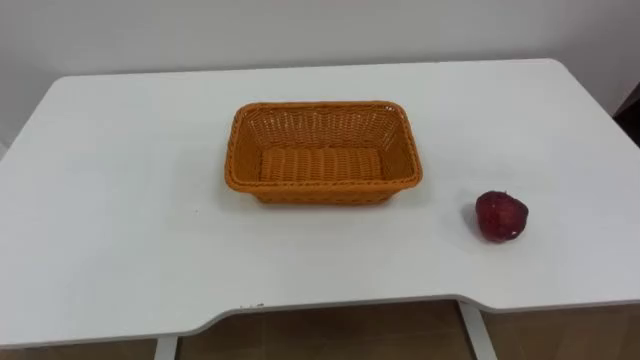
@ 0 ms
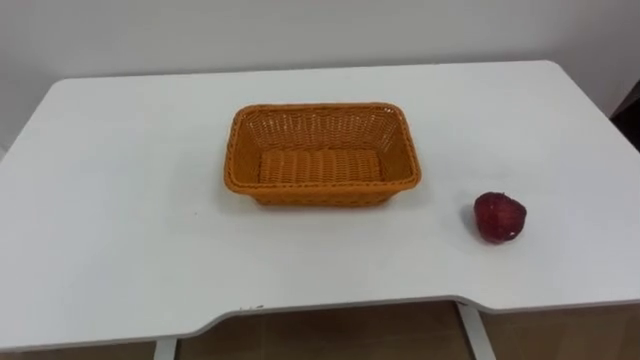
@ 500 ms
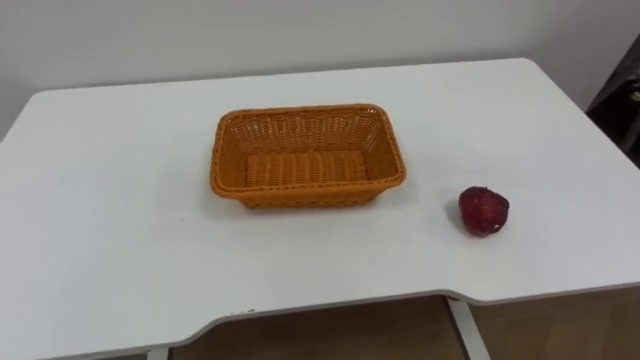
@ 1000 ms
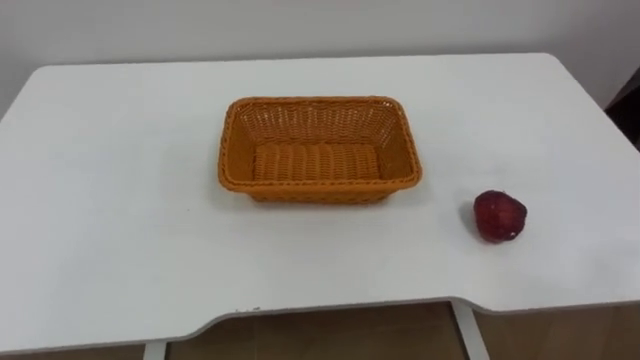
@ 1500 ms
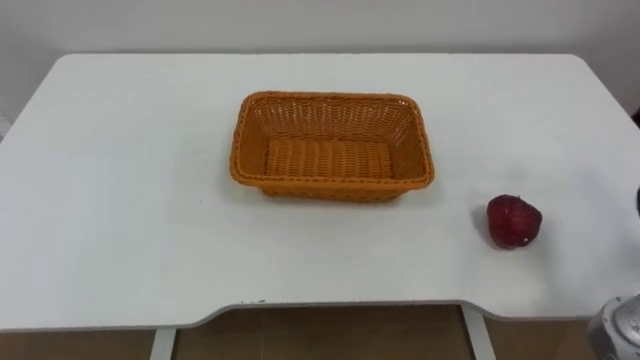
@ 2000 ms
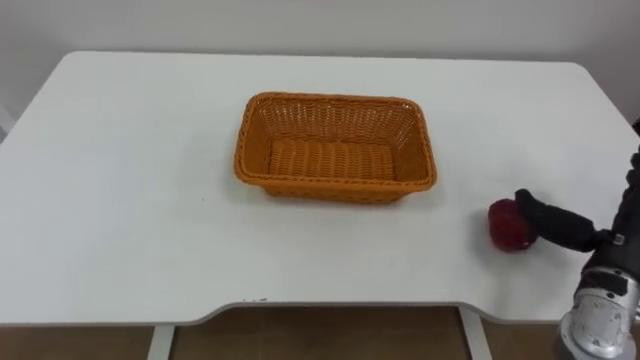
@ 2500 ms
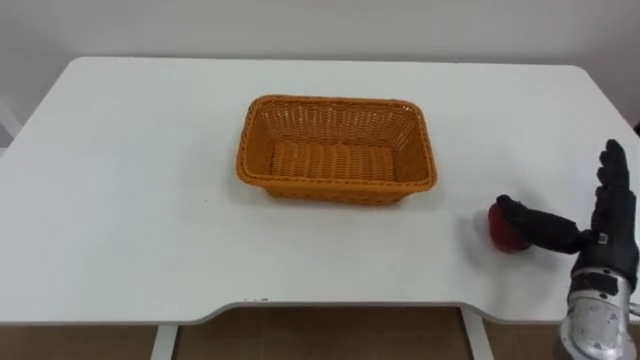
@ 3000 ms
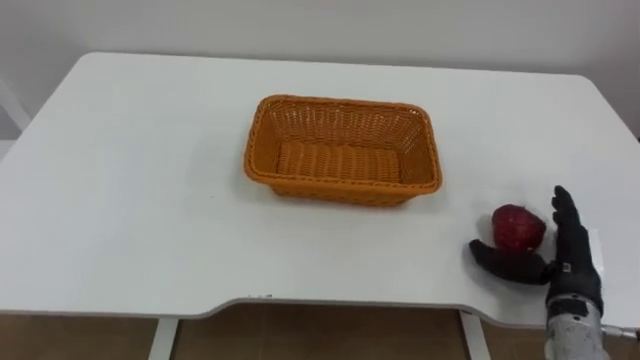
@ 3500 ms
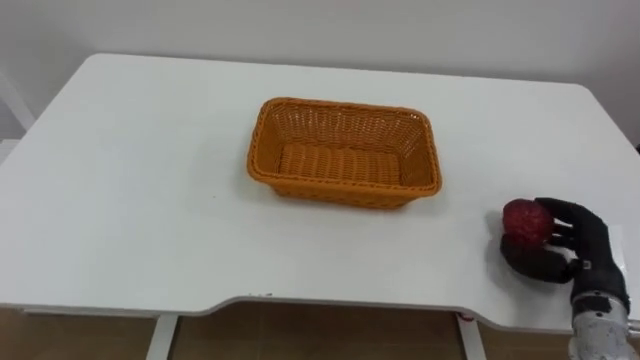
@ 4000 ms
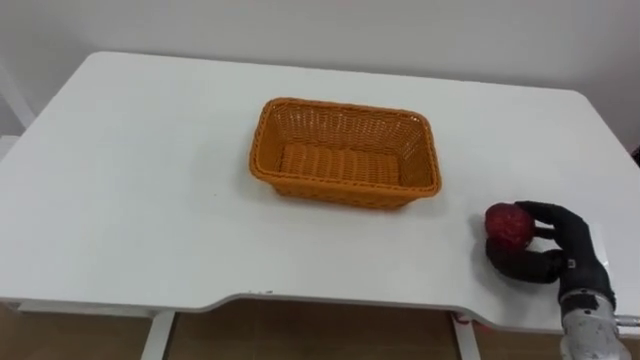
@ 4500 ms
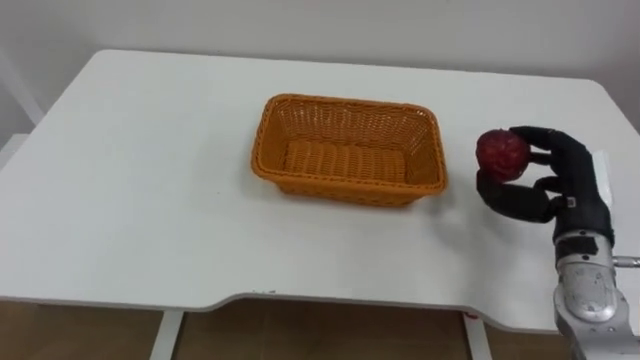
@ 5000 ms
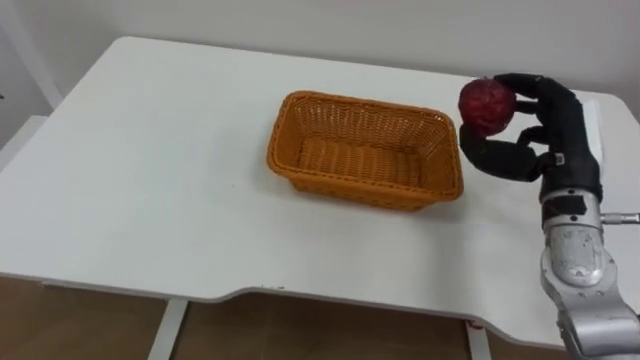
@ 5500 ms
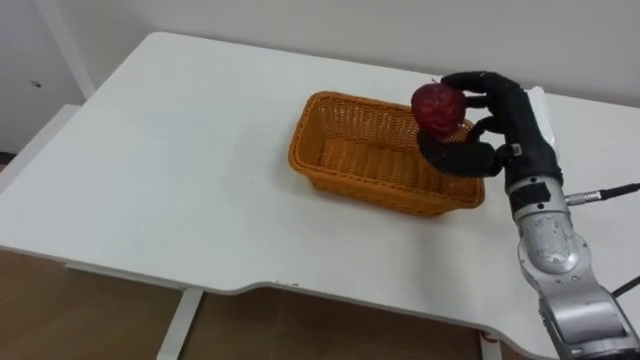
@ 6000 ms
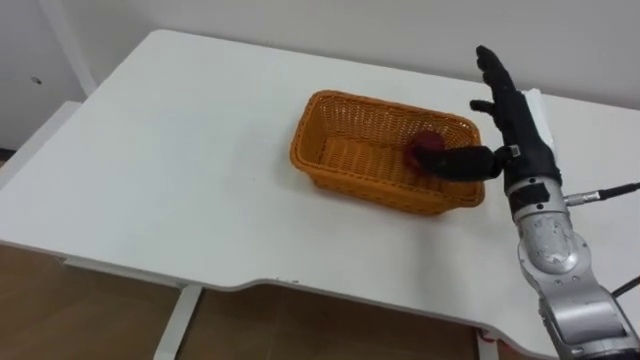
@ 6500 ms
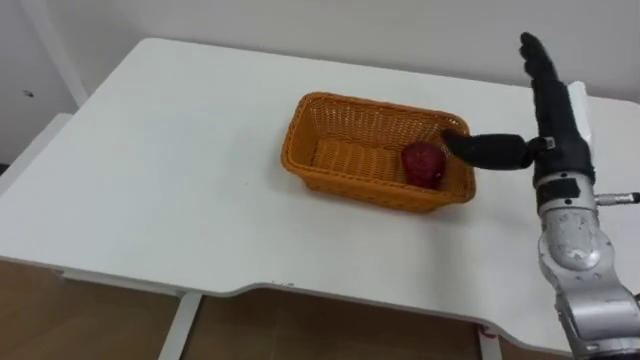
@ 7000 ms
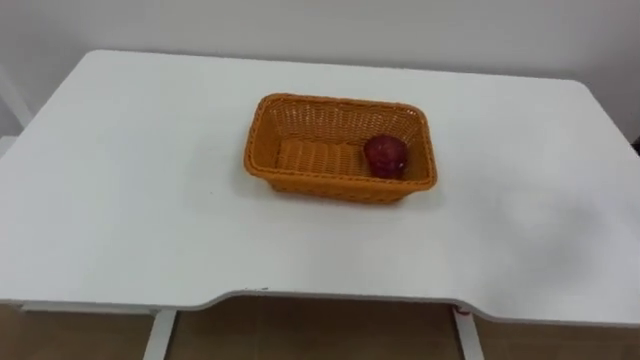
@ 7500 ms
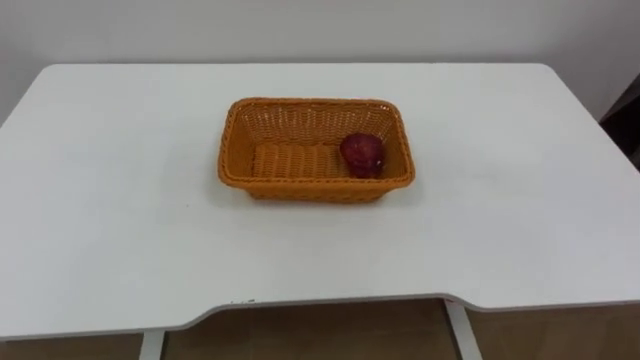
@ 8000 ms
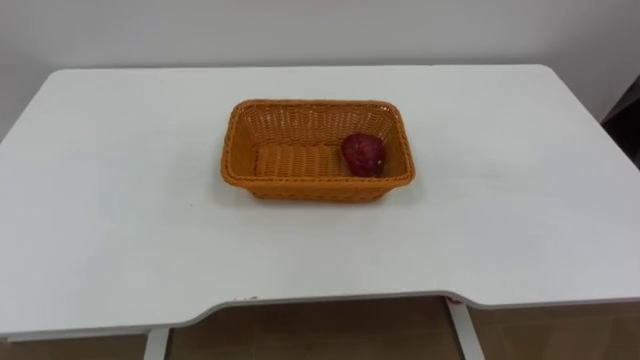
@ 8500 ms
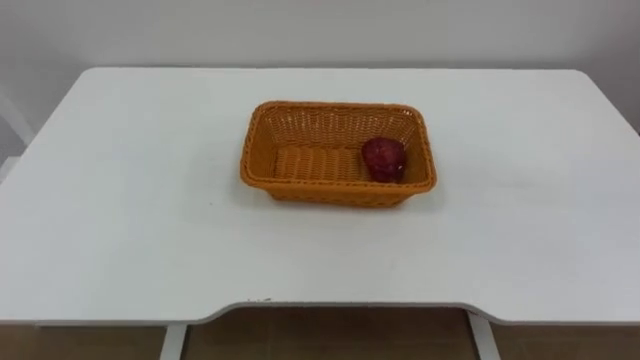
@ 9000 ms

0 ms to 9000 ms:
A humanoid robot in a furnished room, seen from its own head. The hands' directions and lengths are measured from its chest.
Task of the whole recording: Pick the apple and place it in the box.
4500 ms to 7000 ms: The right hand goes roughly 20 cm upward, forward and to the left, and opens its fingers.

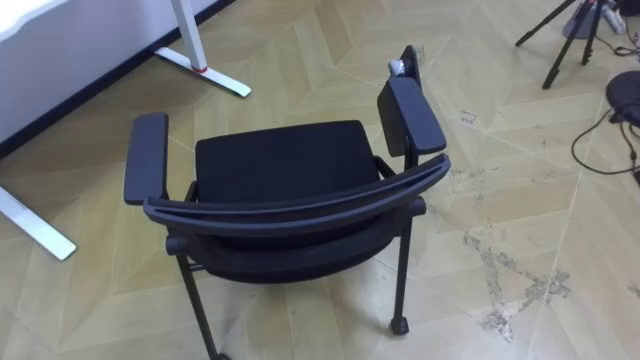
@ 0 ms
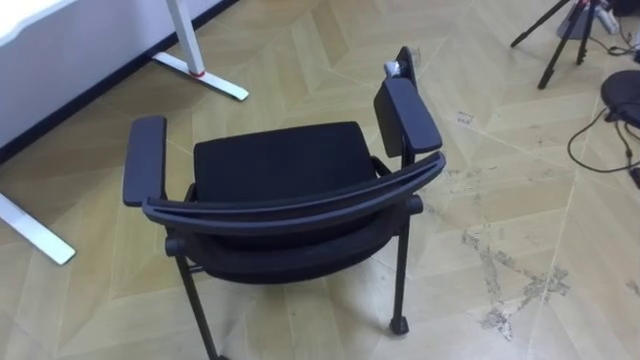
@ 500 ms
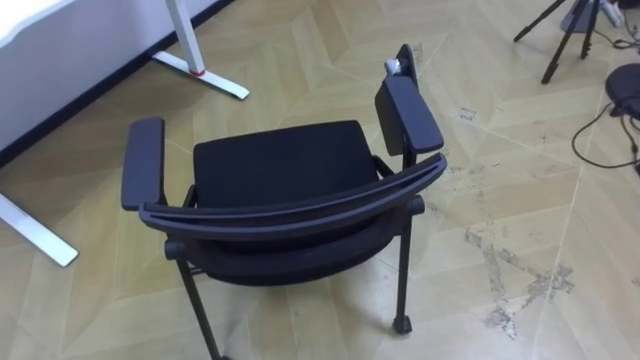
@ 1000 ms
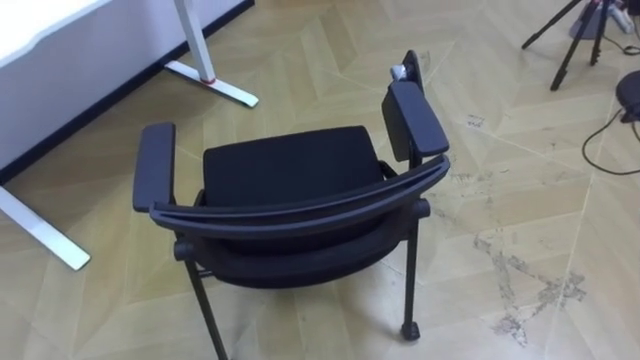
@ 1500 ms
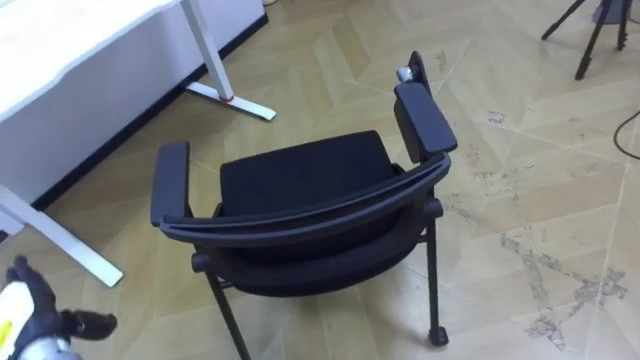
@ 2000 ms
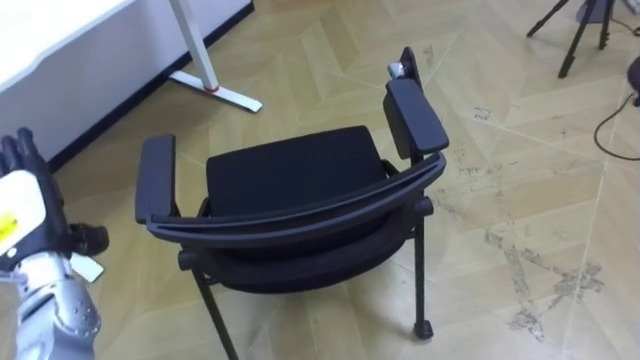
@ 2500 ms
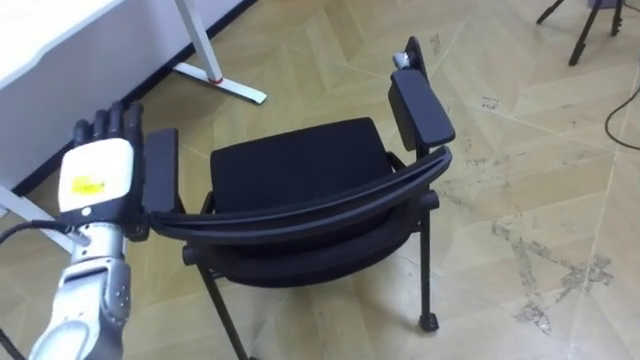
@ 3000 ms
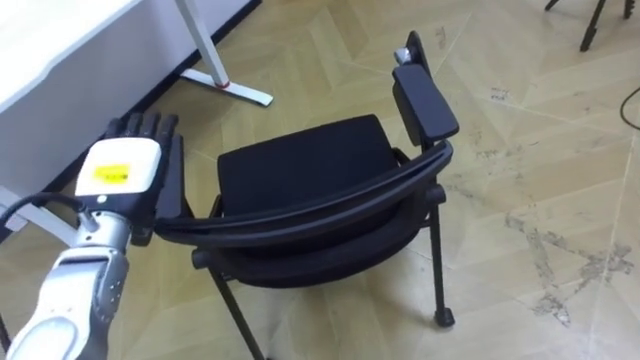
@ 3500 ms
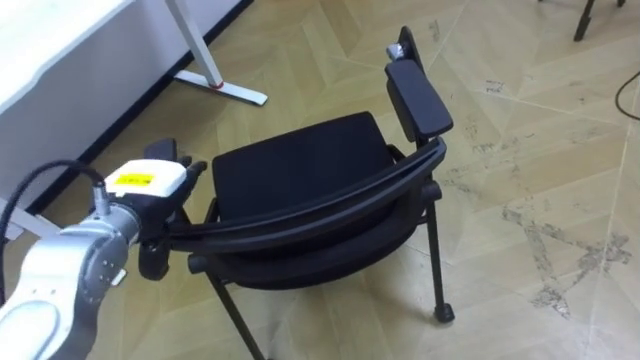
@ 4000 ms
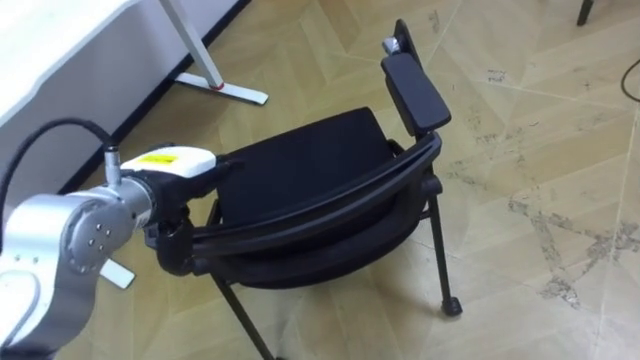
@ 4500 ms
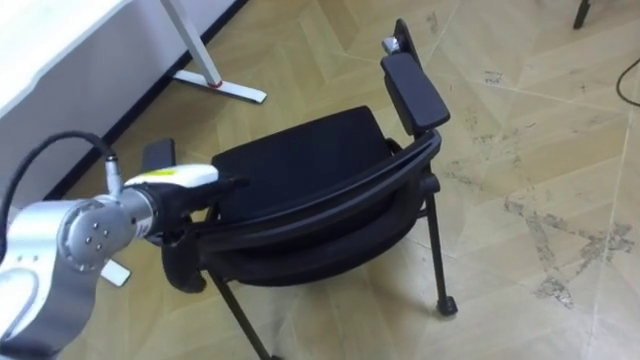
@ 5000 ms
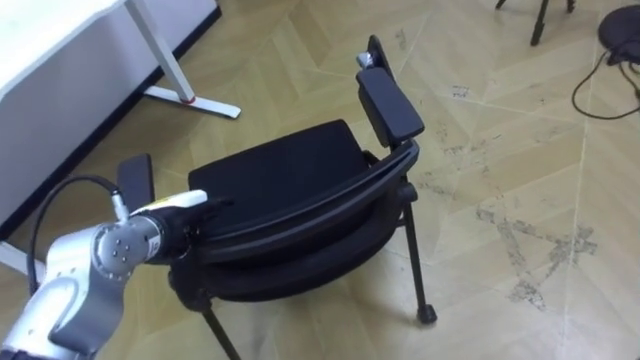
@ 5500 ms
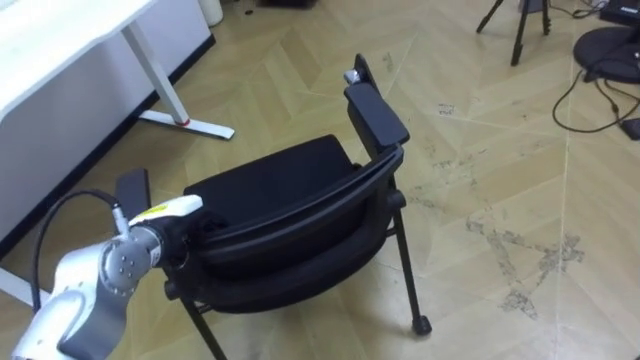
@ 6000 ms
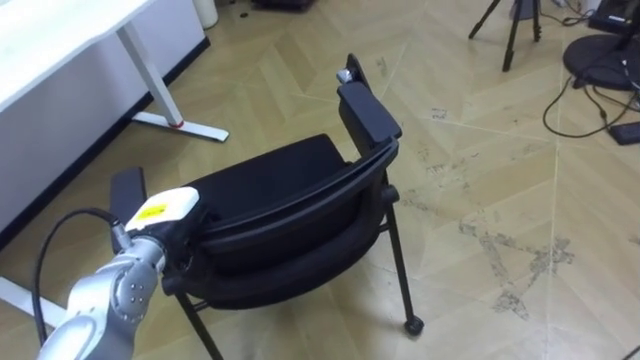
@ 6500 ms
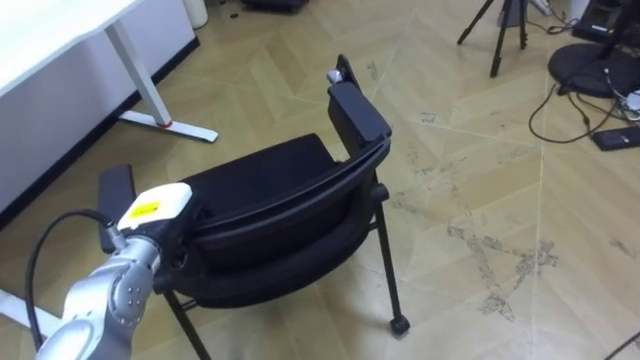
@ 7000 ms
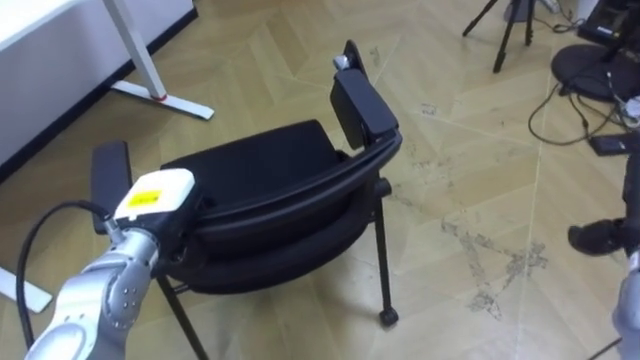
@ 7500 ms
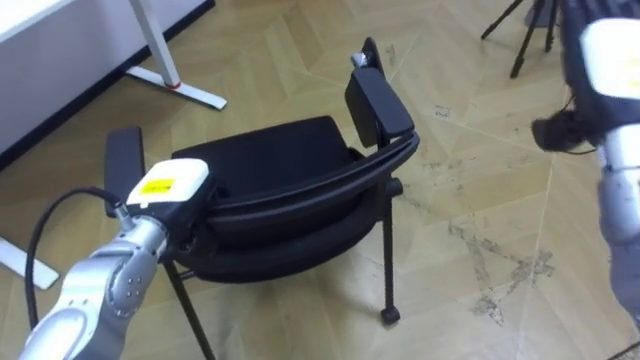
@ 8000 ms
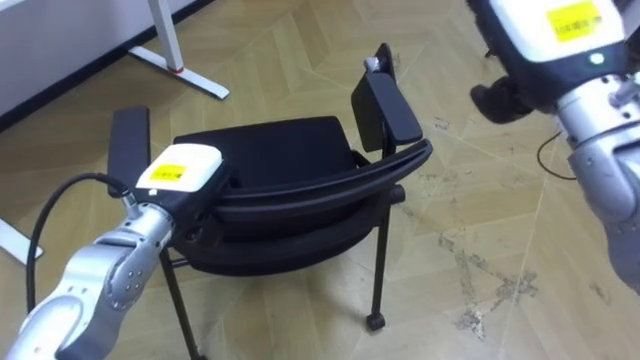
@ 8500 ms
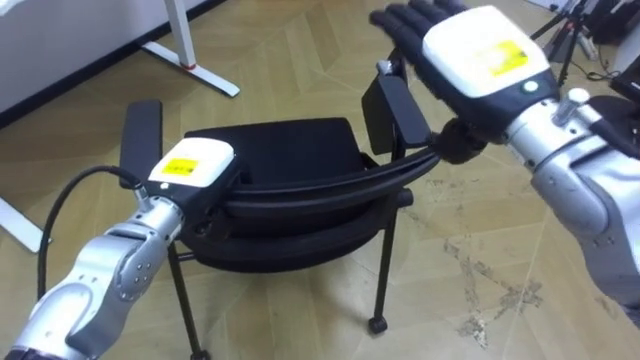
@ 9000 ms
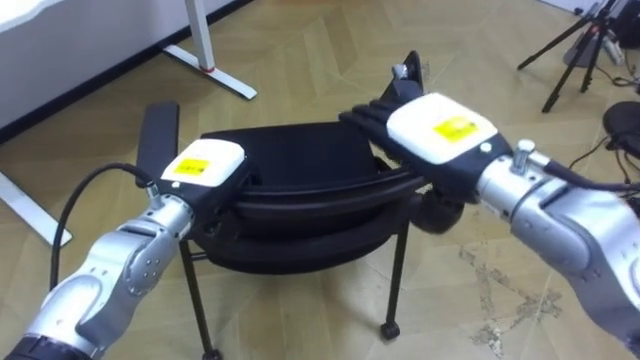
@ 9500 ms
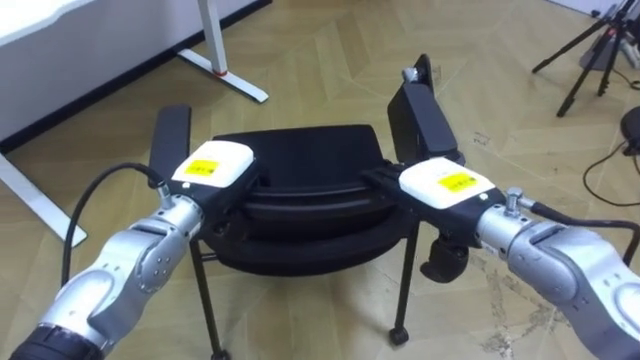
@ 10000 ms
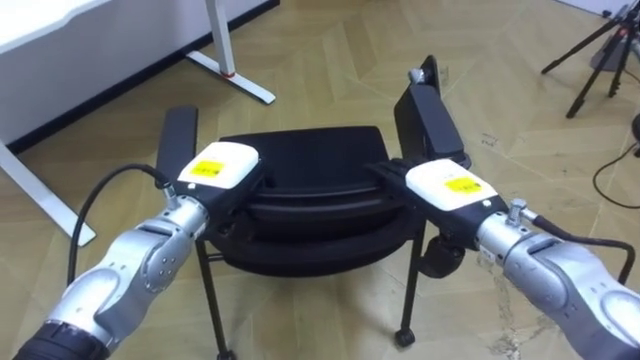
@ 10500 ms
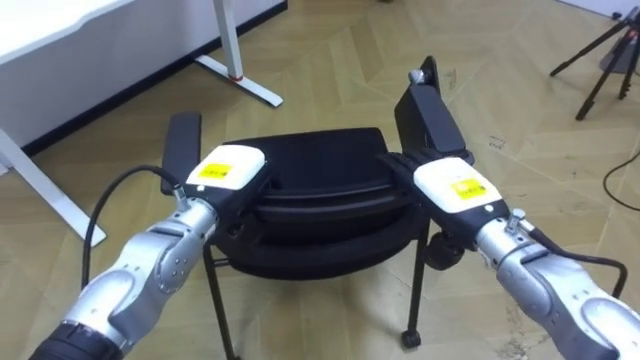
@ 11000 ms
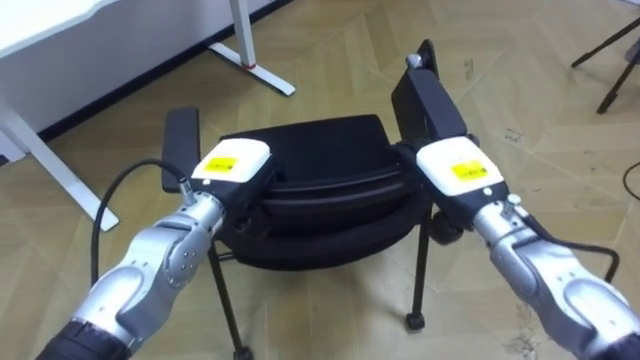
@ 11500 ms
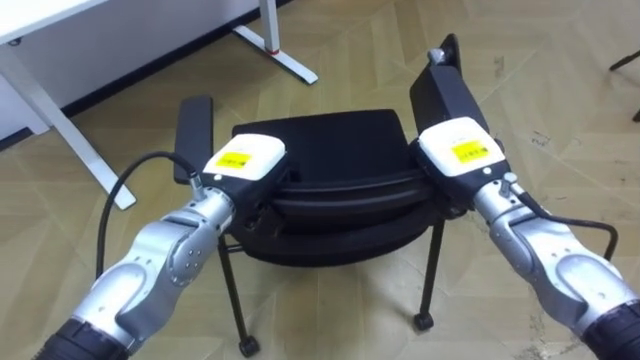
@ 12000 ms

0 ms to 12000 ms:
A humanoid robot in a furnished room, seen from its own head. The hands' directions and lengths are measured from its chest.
Task of the whole recording: Push the chair under the table.
2000 ms to 4000 ms: The left hand goes about 25 cm to the right, upward and forward.
4000 ms to 6000 ms: The left hand goes approximately 5 cm downward, and closes up.
8000 ms to 10000 ms: The left hand moves about 5 cm. The right hand is displaced to the left and downward by approximately 20 cm.
10000 ms to 12000 ms: The right hand goes approximately 5 cm forward, and closes up.
